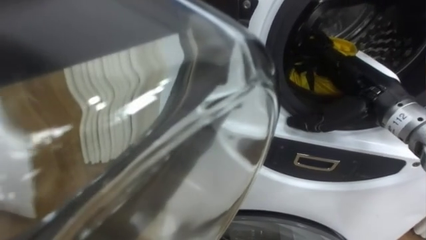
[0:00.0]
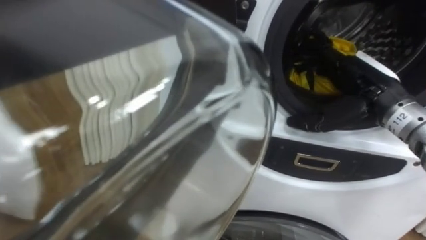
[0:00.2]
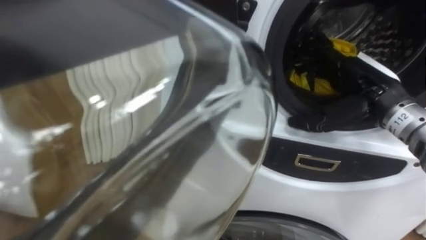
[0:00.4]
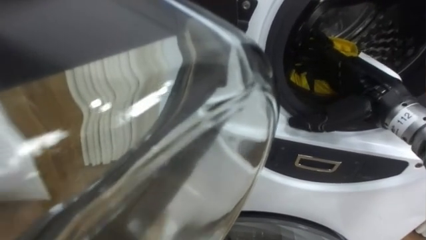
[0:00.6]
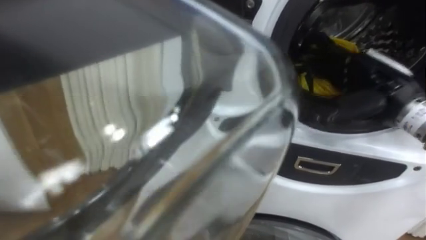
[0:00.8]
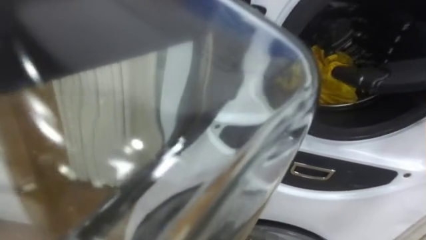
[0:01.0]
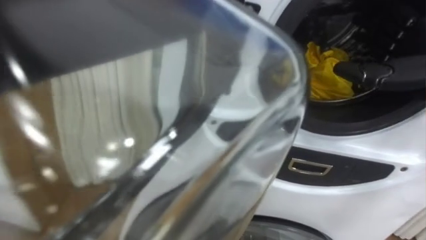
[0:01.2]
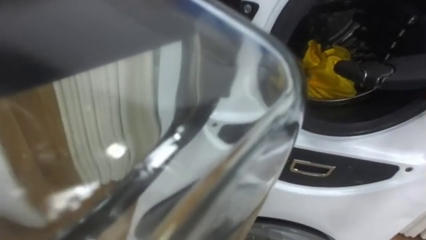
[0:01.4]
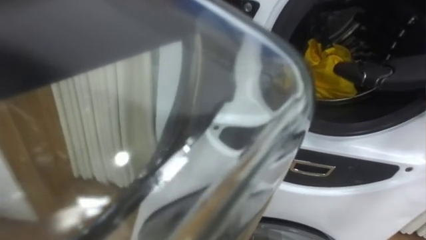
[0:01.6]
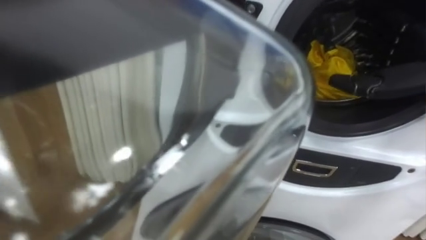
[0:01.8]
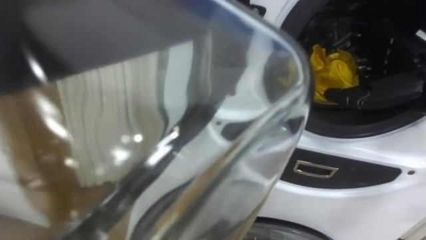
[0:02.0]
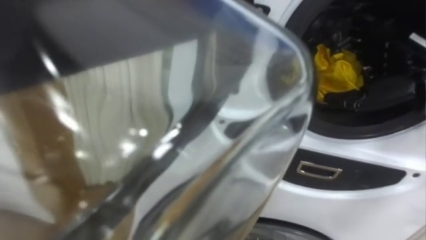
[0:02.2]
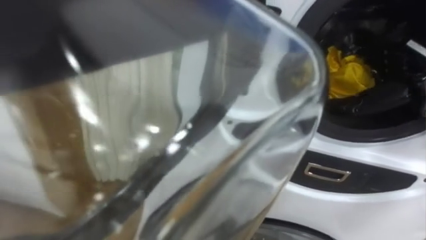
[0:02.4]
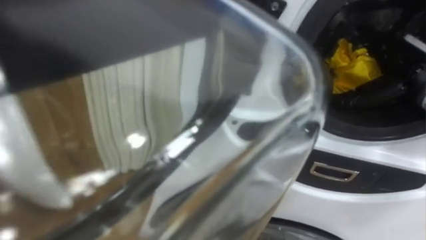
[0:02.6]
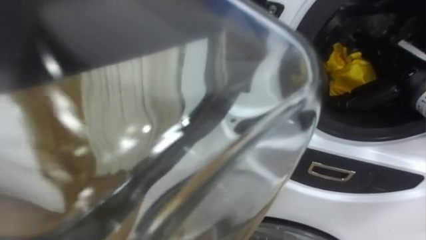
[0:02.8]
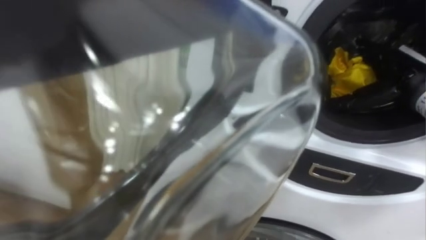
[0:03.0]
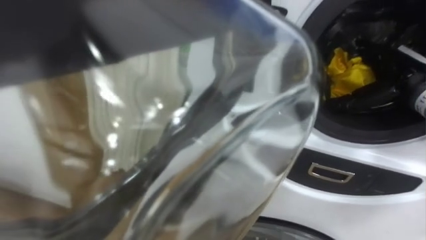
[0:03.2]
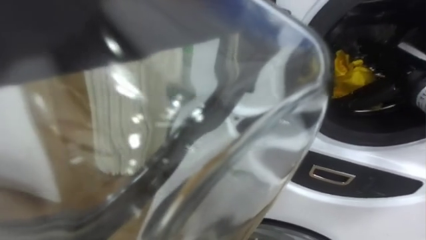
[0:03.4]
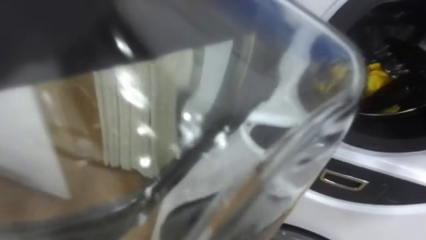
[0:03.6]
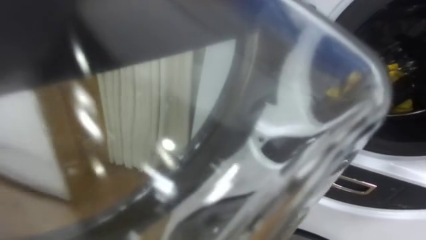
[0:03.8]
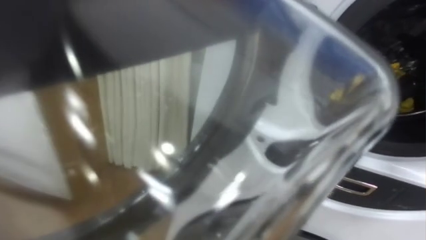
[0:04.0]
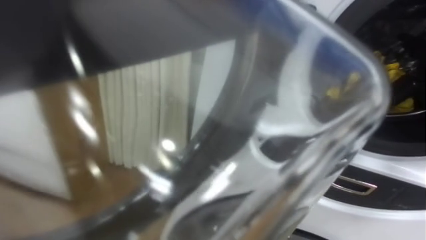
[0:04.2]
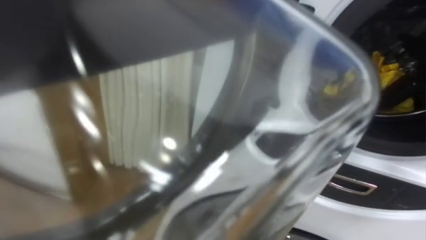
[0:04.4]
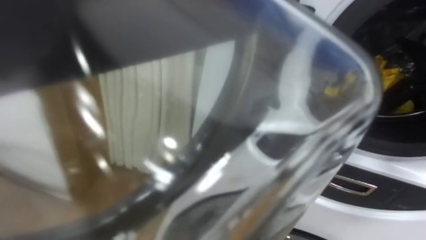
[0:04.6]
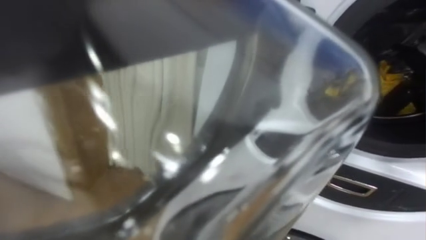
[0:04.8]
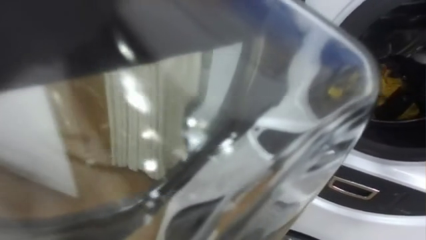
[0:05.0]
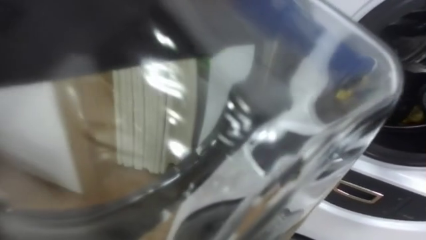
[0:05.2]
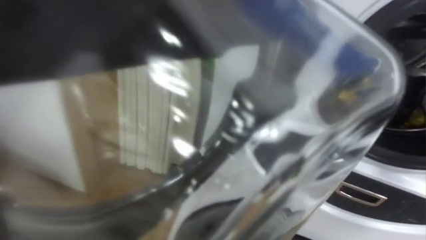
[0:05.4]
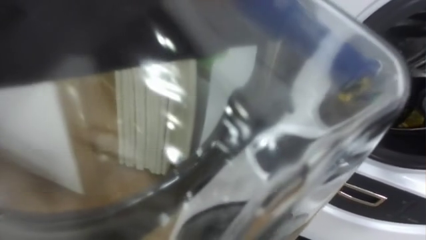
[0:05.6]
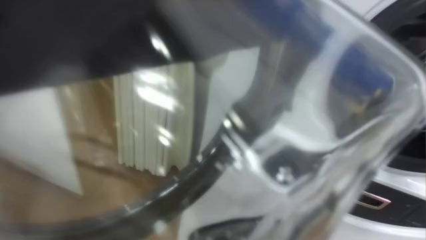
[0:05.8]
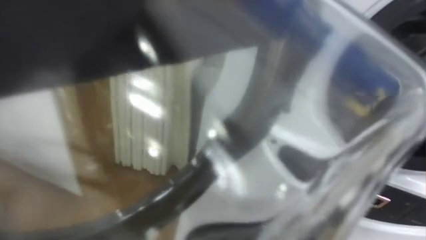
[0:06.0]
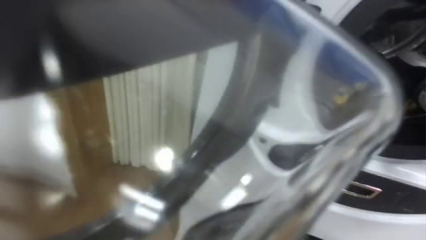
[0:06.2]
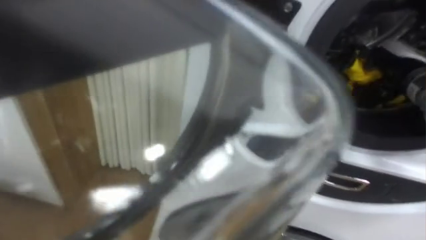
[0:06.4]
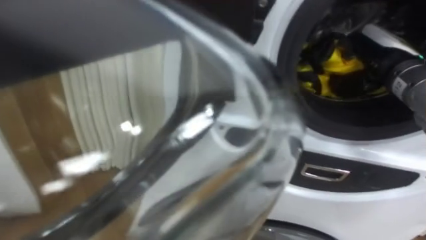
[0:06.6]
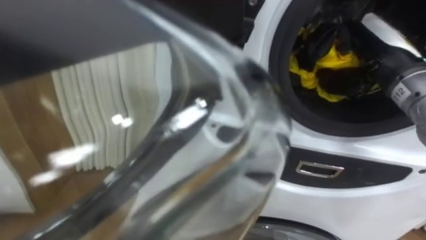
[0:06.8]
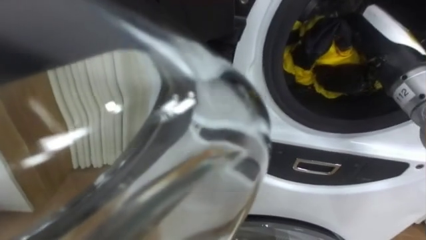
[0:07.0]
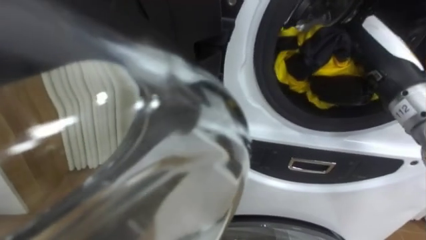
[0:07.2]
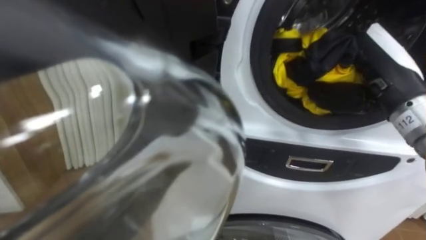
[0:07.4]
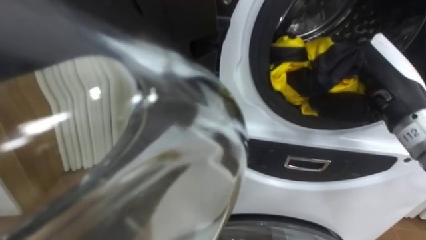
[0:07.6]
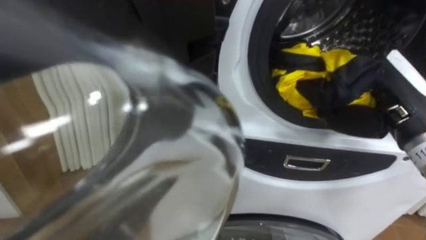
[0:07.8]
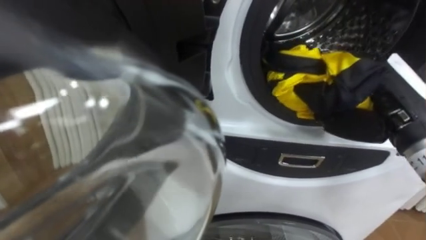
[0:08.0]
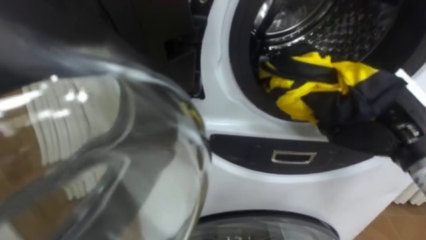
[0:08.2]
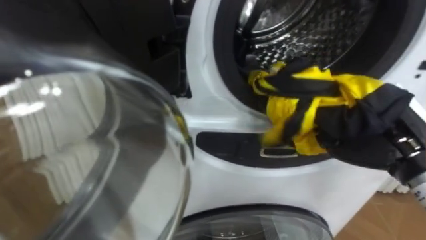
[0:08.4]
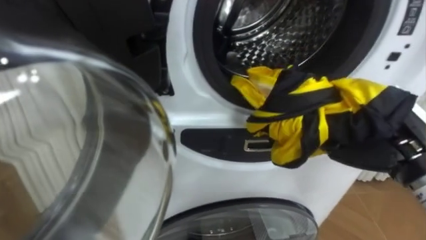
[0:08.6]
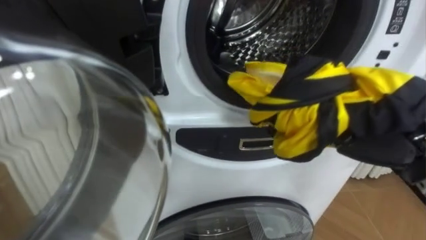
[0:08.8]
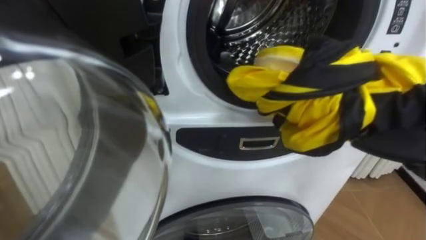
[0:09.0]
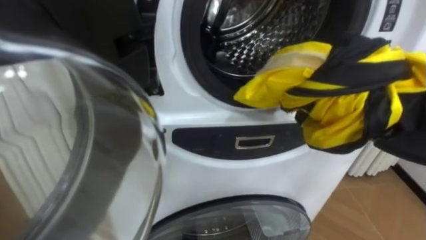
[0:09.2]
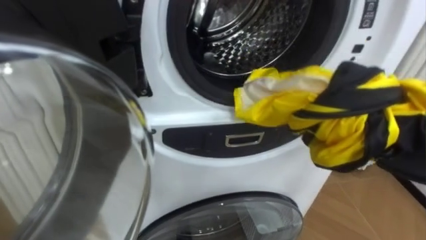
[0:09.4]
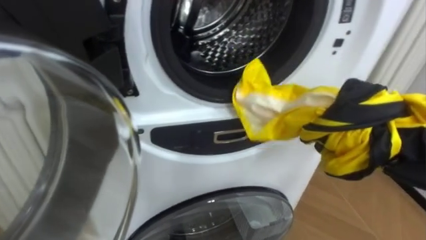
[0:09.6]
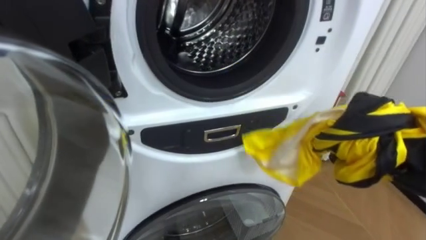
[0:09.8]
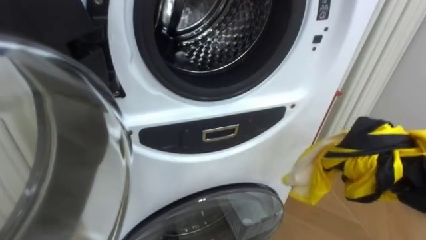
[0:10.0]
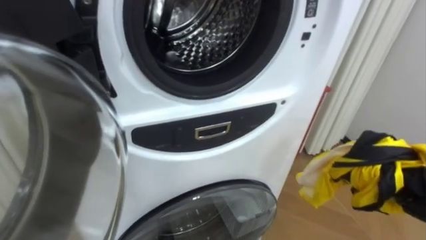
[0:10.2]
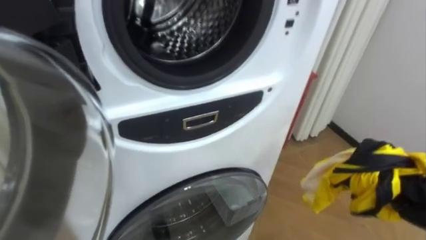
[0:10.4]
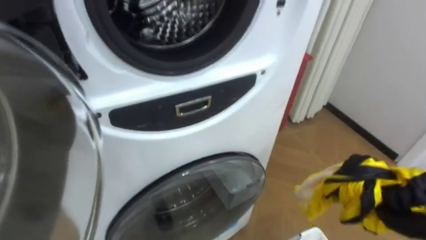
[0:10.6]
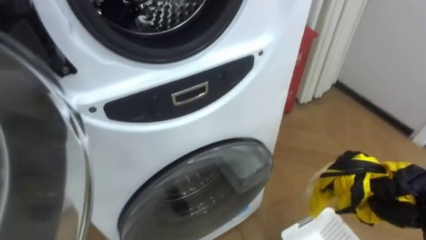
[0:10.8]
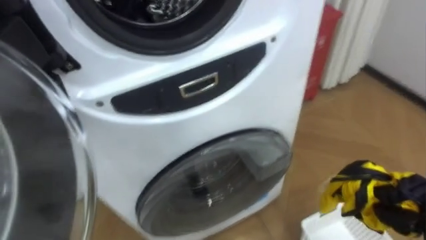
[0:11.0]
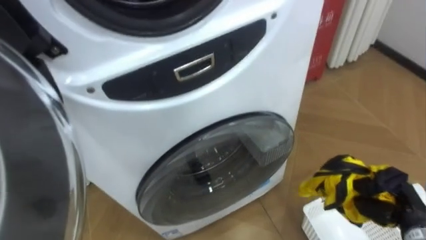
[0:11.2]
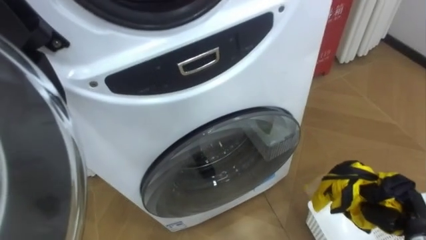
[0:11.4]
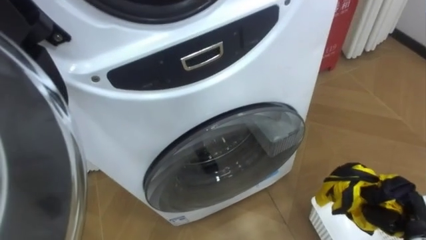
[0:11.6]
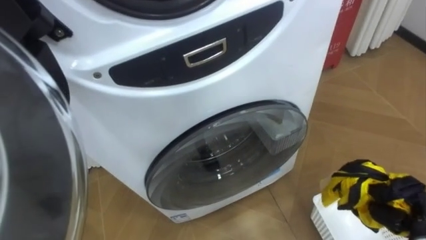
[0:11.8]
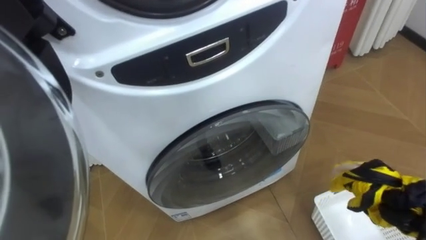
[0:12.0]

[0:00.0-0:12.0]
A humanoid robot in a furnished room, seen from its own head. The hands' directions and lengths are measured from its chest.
Task of the whole recording: Open the washing machine door, take out the yellow clothes, place them in the box on the right, and close the washing machine door.
0:06.0 to 0:07.6: The right hand goes some 20 cm to the left, backward and upward.
0:07.6 to 0:09.0: The right hand moves backward, some 5 cm.

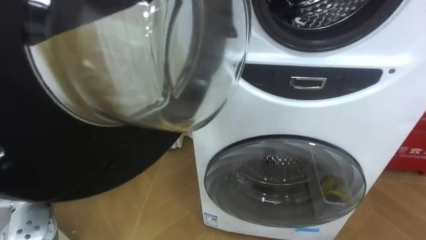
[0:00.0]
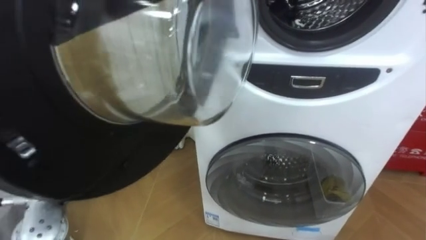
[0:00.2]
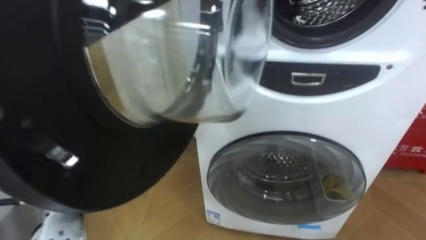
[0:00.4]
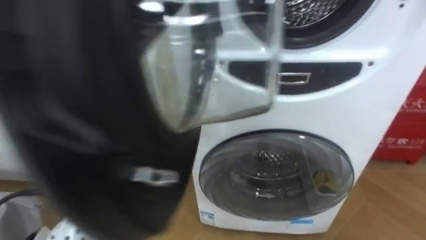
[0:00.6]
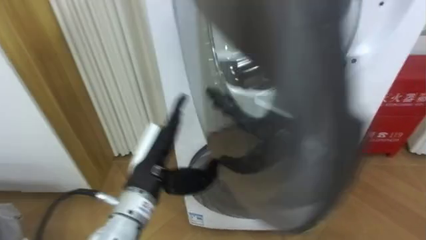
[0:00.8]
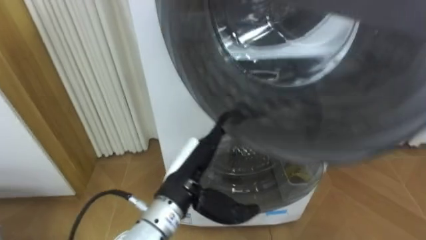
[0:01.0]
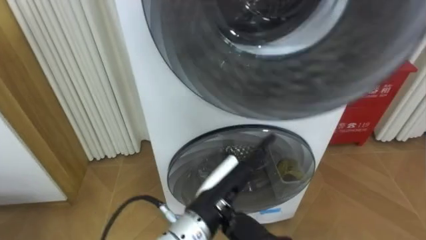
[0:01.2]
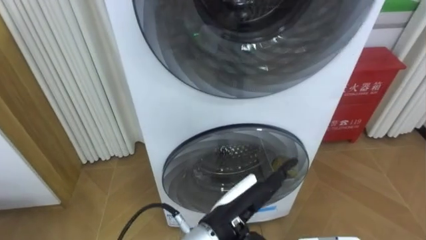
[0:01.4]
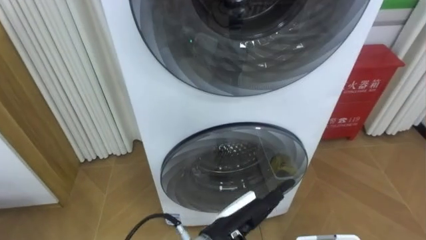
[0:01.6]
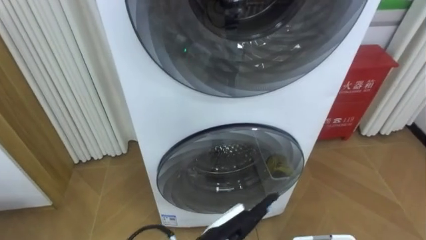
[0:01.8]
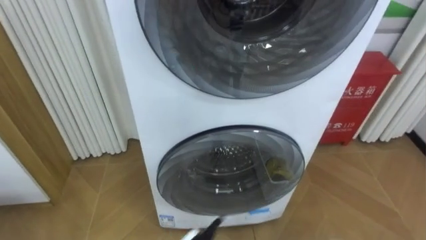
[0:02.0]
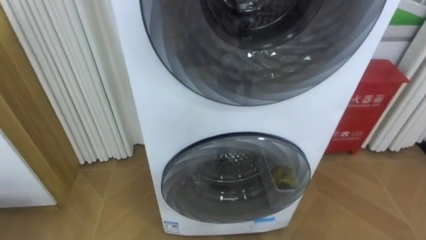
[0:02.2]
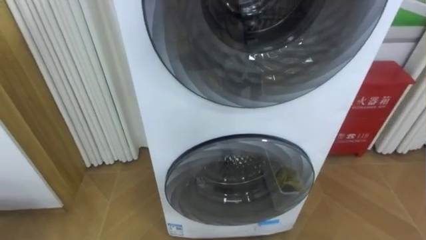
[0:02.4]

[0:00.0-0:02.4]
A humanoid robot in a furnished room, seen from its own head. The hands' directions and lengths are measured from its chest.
Task of the whole recording: Open the washing machine door, take out the yellow clothes, place them in the box on the right, and close the washing machine door.
0:00.0 to 0:01.2: The left hand moves to the right, about 30 cm.

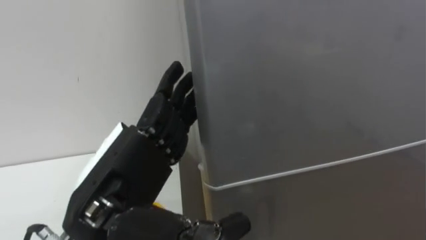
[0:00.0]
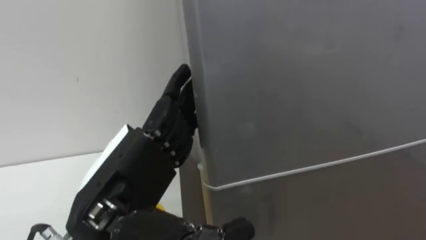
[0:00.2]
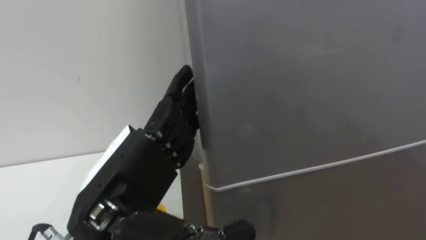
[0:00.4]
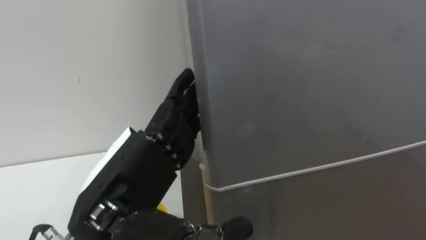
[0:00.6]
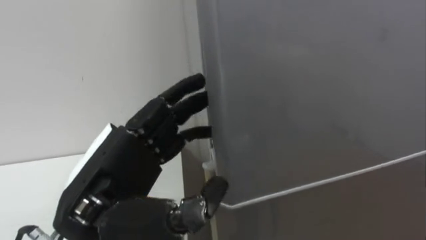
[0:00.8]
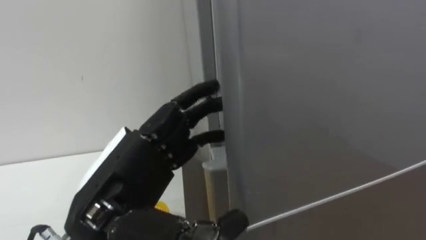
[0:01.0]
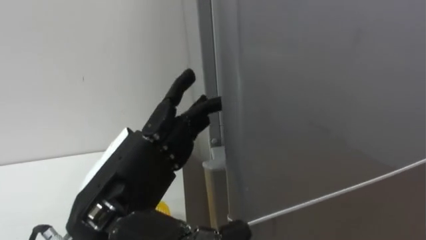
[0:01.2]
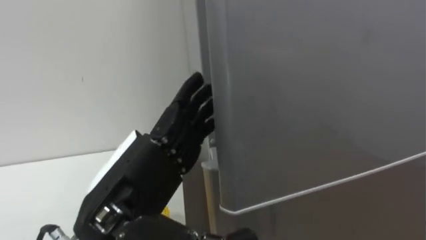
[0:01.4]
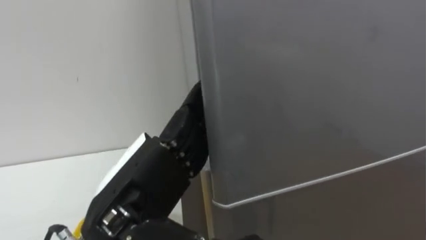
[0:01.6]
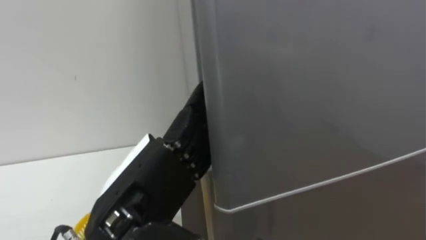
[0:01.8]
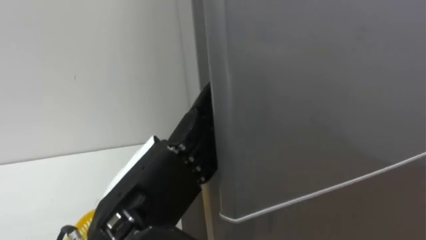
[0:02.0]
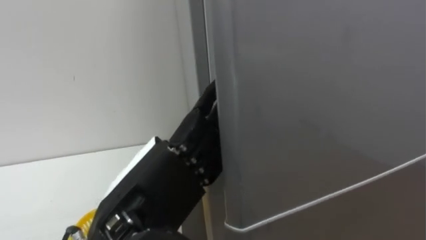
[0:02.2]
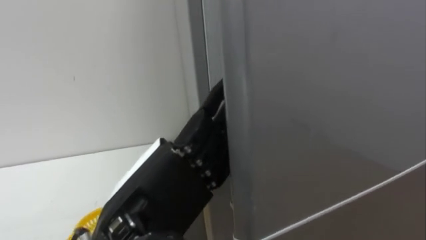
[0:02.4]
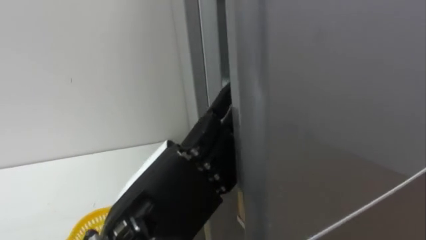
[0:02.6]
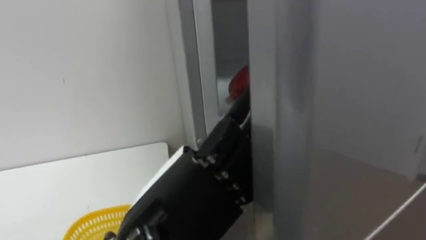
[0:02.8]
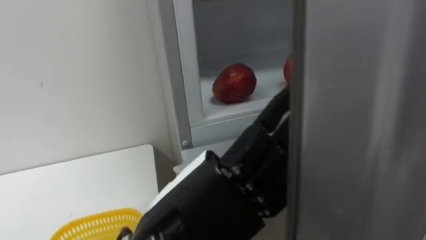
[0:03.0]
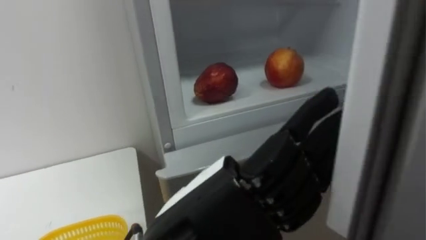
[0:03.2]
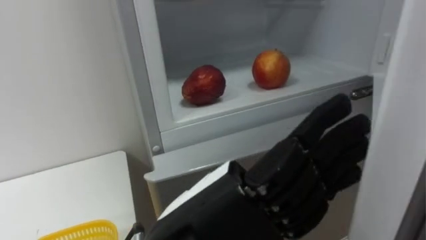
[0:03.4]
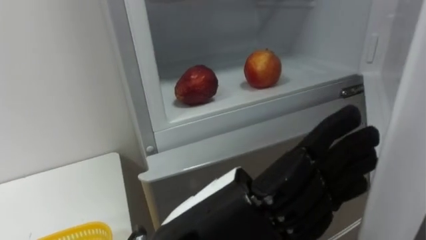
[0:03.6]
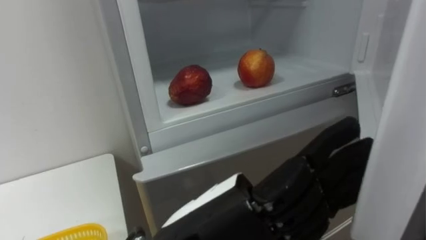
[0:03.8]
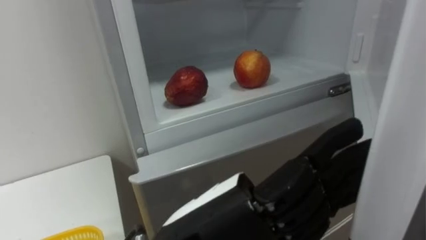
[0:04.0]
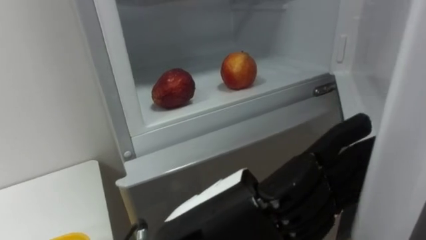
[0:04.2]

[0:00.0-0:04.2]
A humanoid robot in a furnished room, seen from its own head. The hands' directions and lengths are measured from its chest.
Task of the whole recording: Open the refrigerator door, take out the apple and the pomegranate, place them in the fruit basket on the left, and close the refrigerator door.
0:01.4 to 0:02.8: The left hand shifts by some 5 cm.
